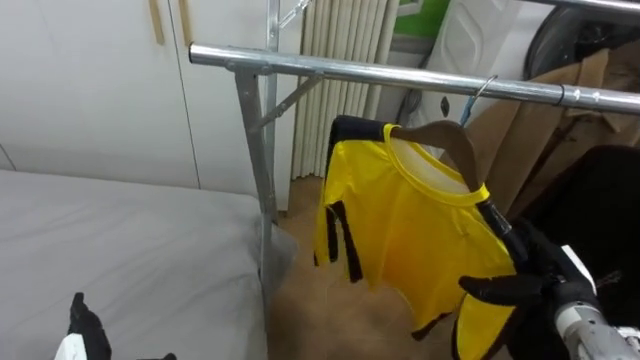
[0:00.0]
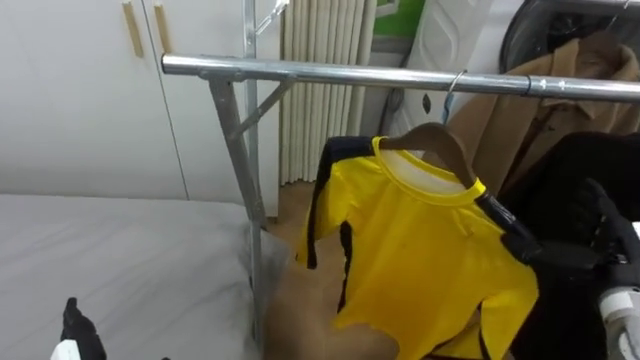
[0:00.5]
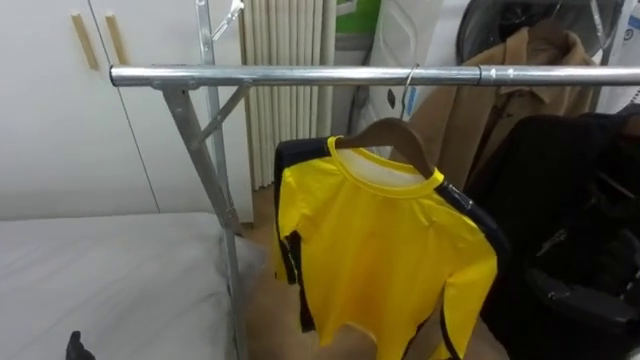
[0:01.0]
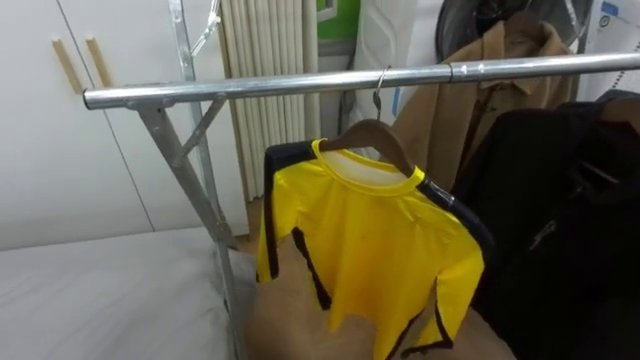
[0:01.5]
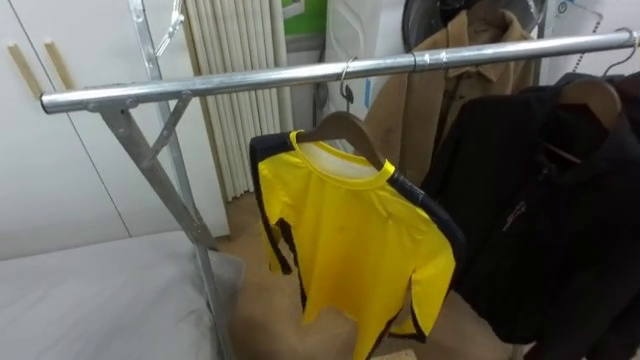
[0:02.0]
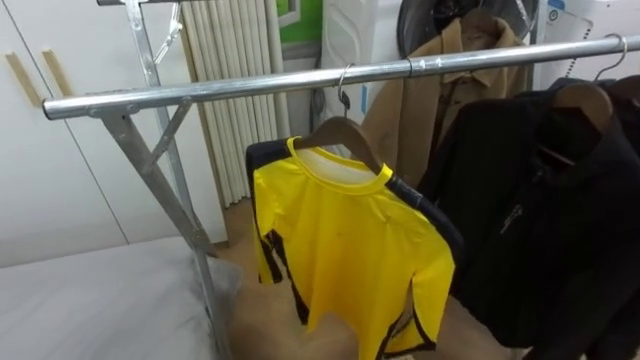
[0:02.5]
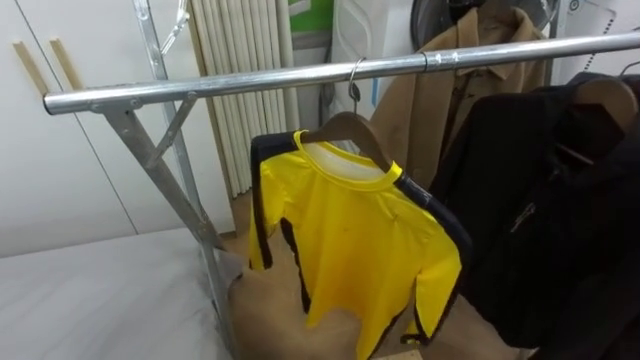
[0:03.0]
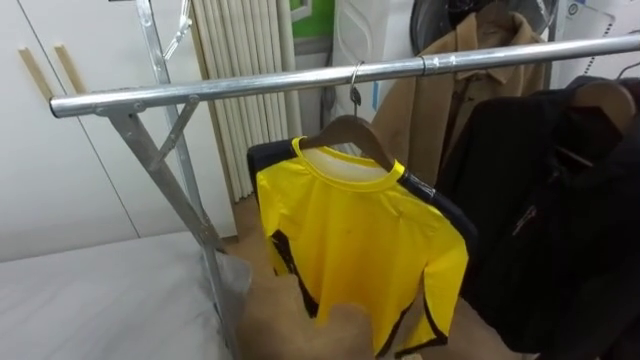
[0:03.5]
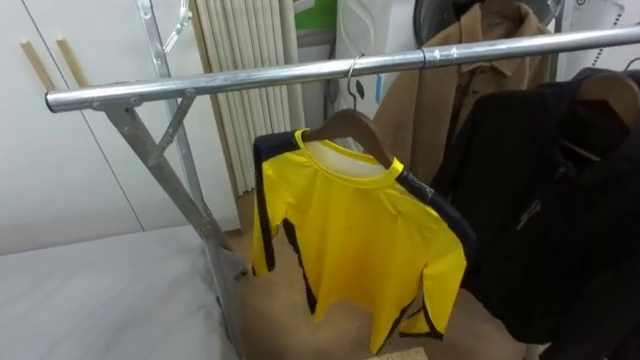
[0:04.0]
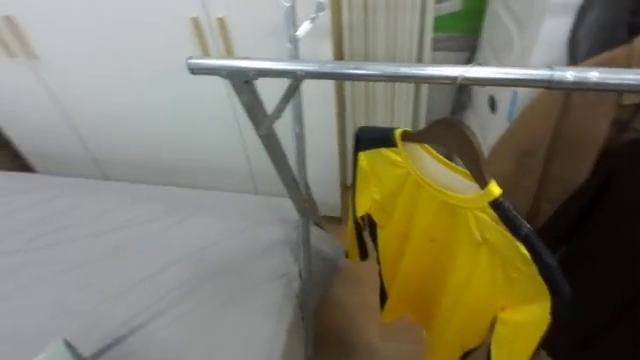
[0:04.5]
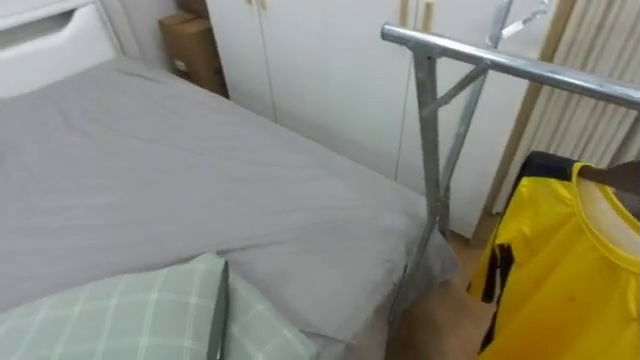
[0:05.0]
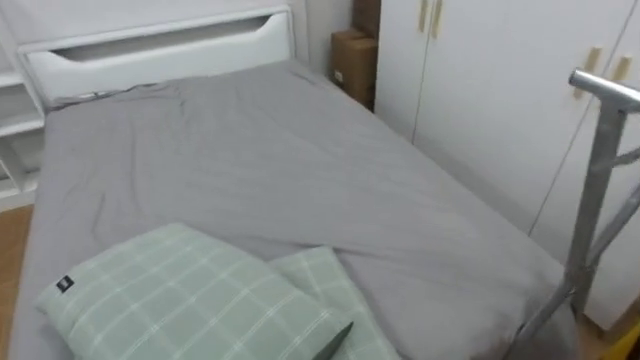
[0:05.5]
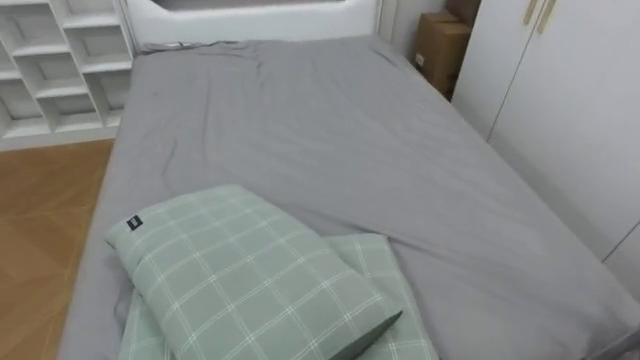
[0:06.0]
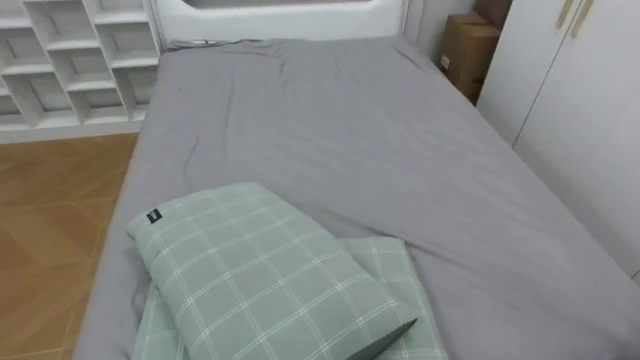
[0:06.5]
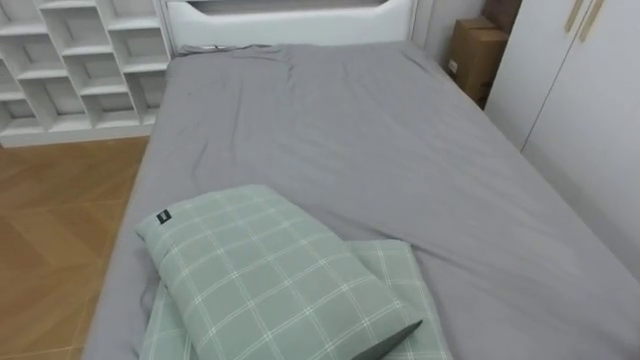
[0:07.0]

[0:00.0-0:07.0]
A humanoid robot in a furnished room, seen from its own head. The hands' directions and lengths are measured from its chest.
Task of the whole recording: Pick up the yellow shirt on the bed and hang it on the clothes rack on the right.
0:03.5 to 0:05.0: The robot rotates roughly 50 degrees to its left.
0:05.0 to 0:07.0: The robot rotates about 40 degrees to its left.

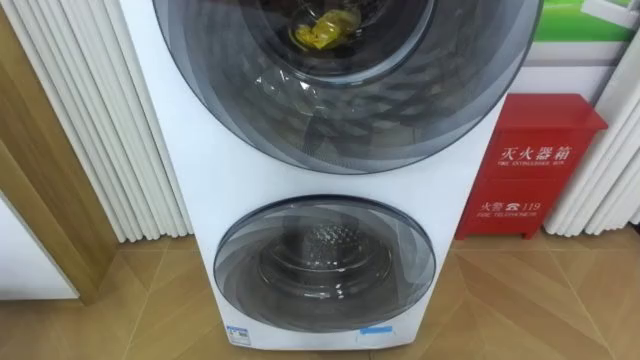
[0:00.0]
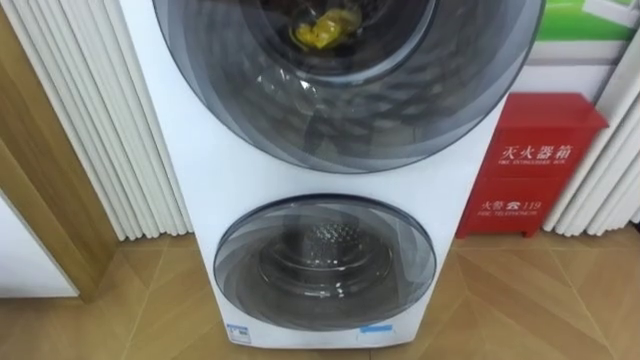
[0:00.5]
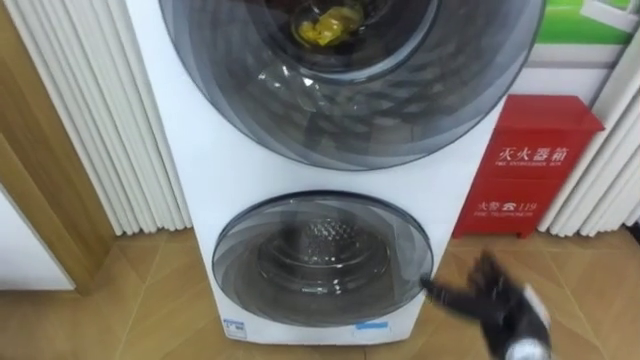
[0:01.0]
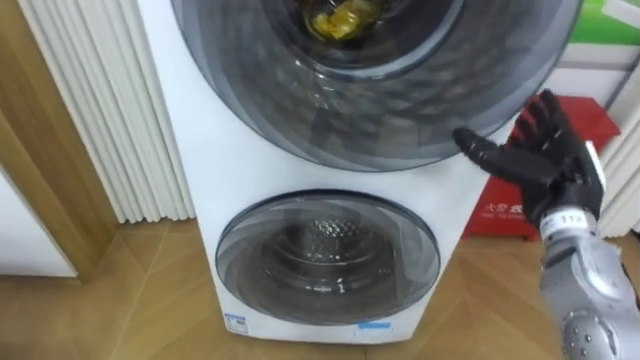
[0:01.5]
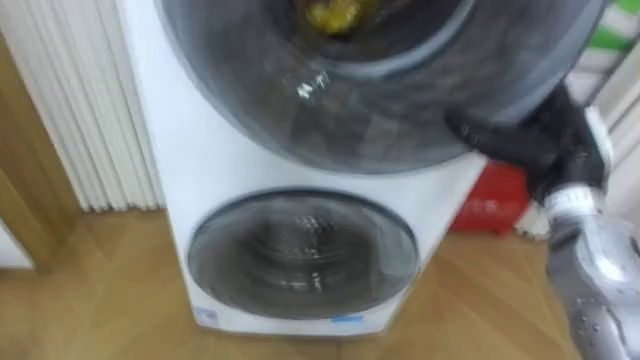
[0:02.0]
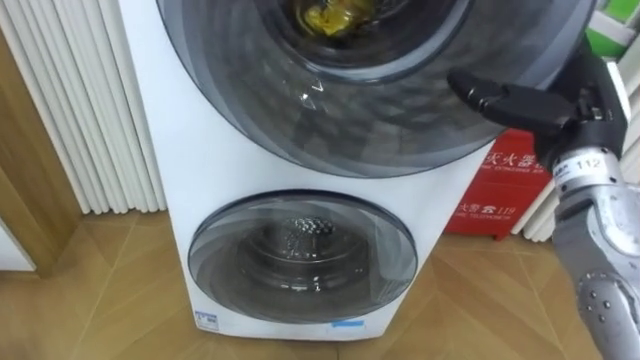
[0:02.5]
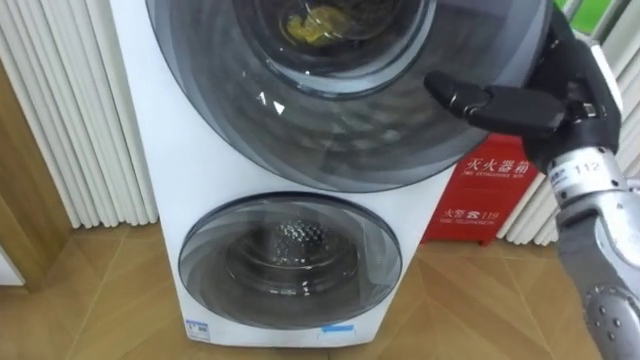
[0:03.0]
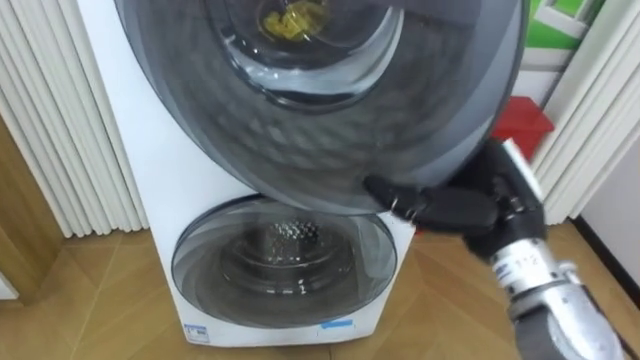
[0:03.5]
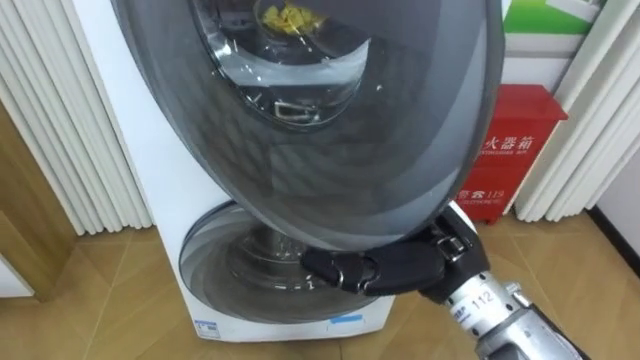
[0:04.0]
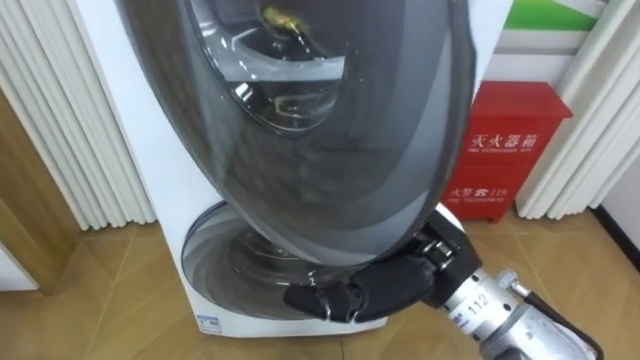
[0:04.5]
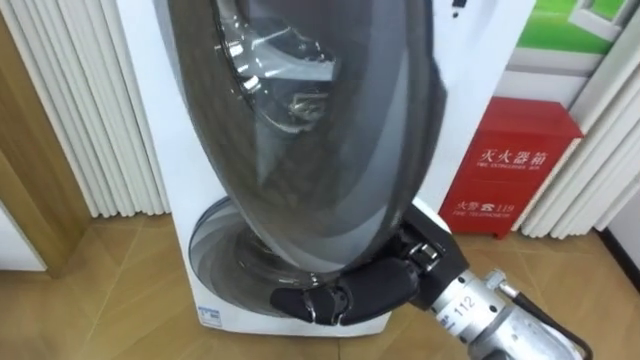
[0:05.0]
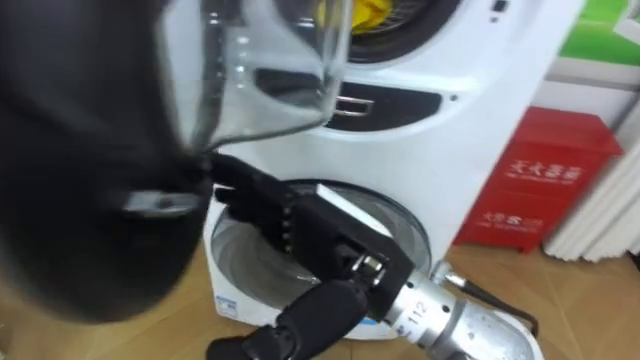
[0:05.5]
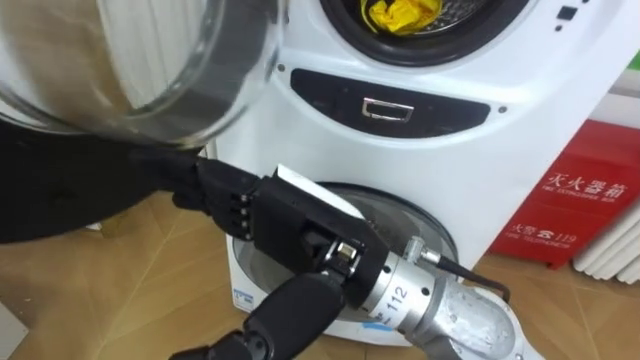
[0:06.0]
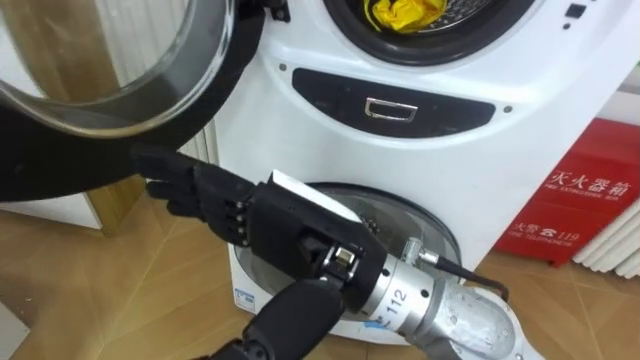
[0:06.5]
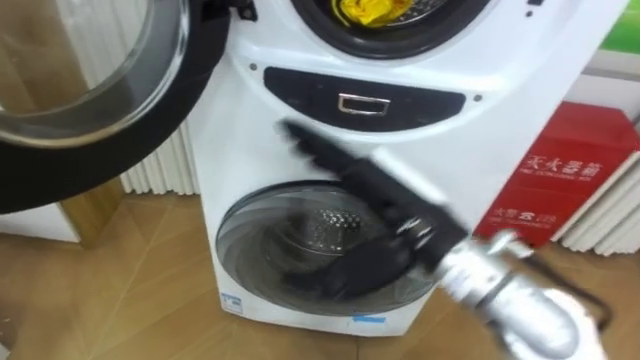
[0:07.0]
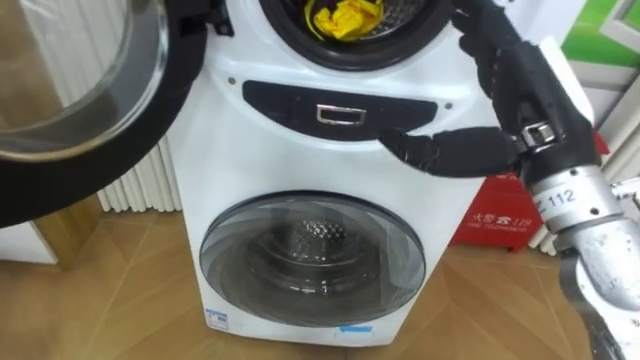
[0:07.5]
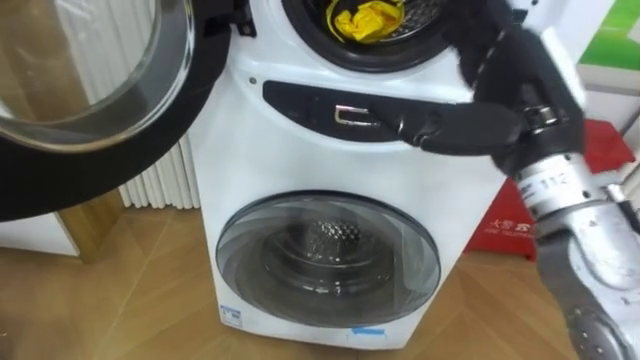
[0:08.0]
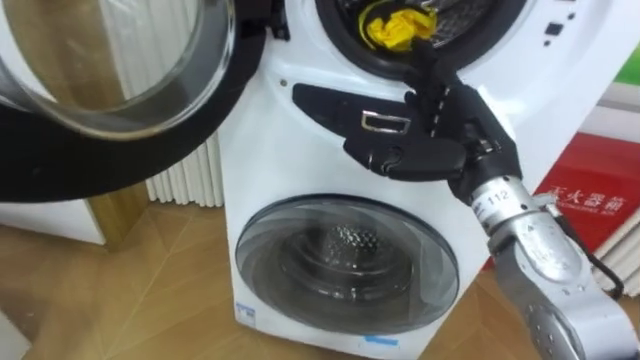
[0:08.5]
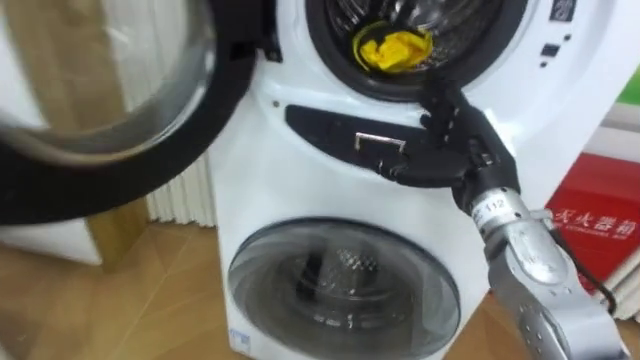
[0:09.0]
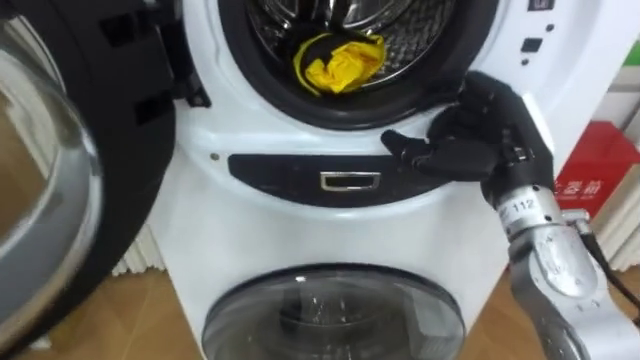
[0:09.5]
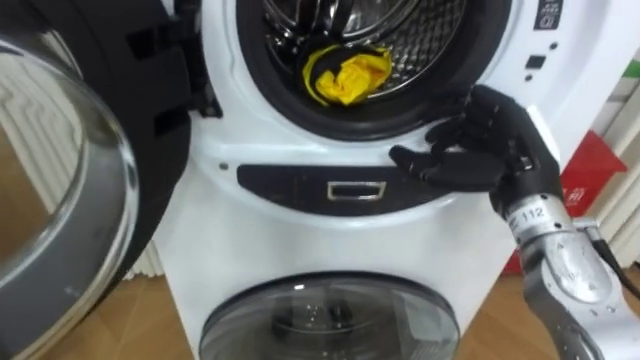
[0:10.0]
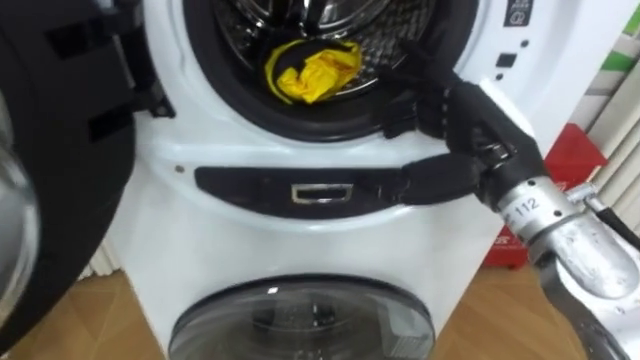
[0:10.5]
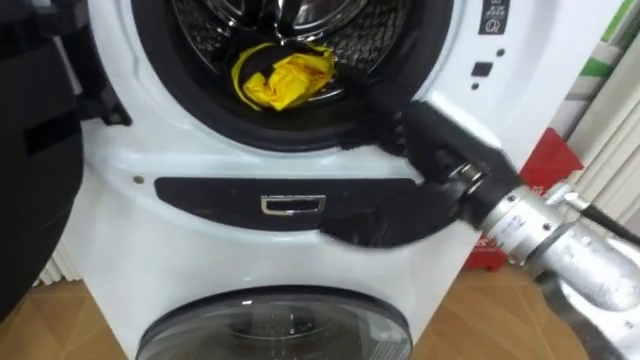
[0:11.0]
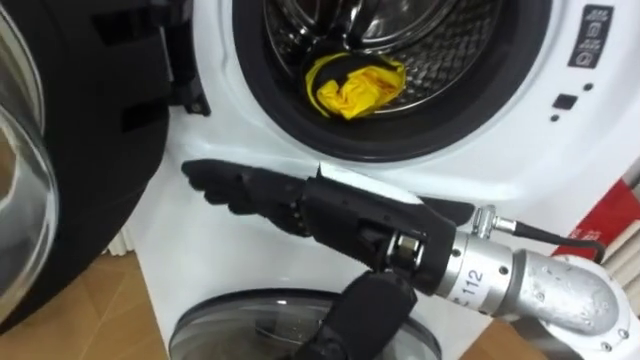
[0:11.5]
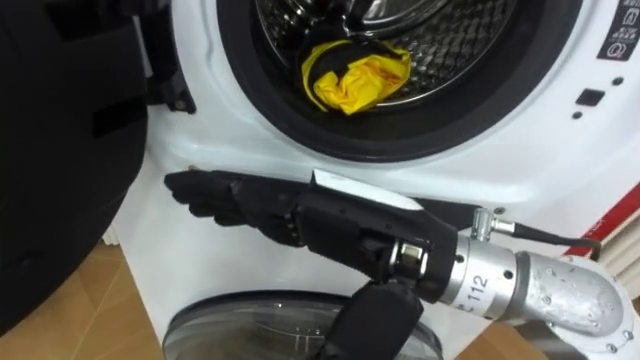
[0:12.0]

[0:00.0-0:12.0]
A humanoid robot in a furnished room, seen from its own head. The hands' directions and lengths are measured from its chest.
Task of the whole recording: Open the washing machine door, take out the yellow clothes, place them in the box on the right, and close the washing machine door.
0:02.0 to 0:04.0: The right hand goes some 15 cm to the left and backward.
0:04.0 to 0:06.0: The right hand heads to the left, upward and backward, covering some 15 cm.
0:06.0 to 0:08.0: The right hand shifts approximately 20 cm to the right and forward.
0:08.0 to 0:10.0: The right hand moves downward, some 10 cm.
0:10.0 to 0:12.0: The right hand travels to the left and backward by roughly 20 cm.

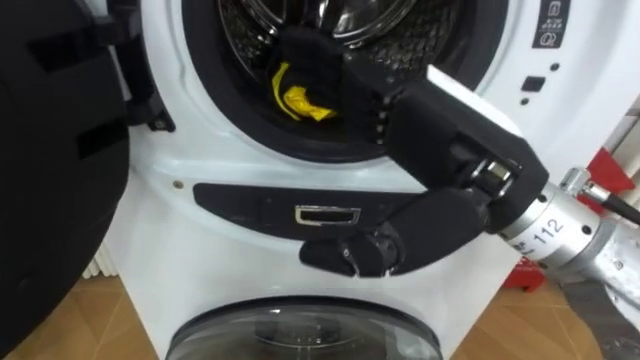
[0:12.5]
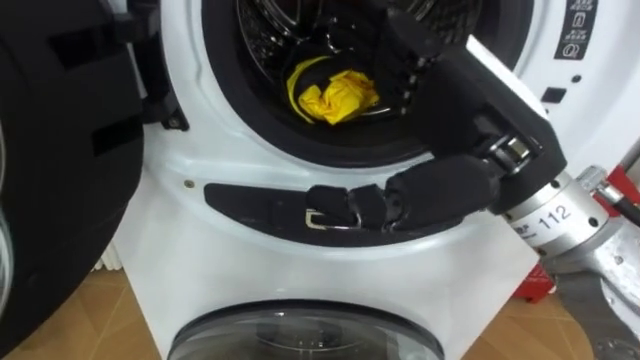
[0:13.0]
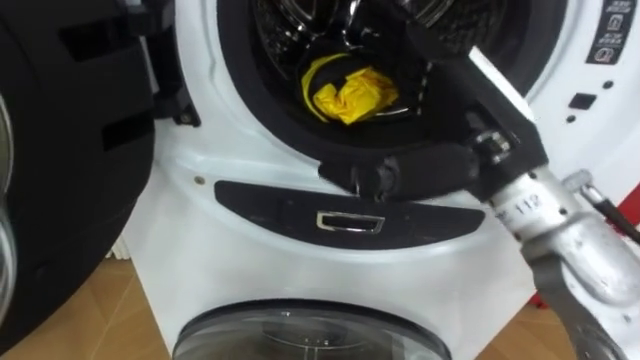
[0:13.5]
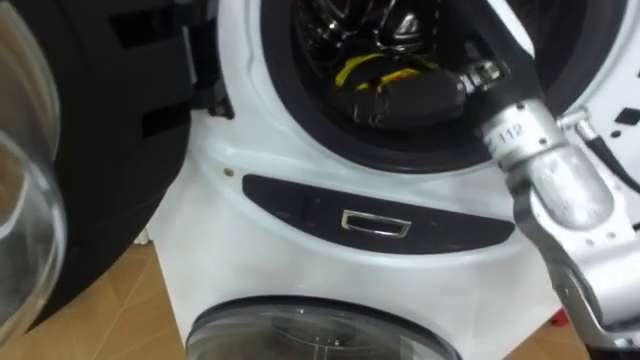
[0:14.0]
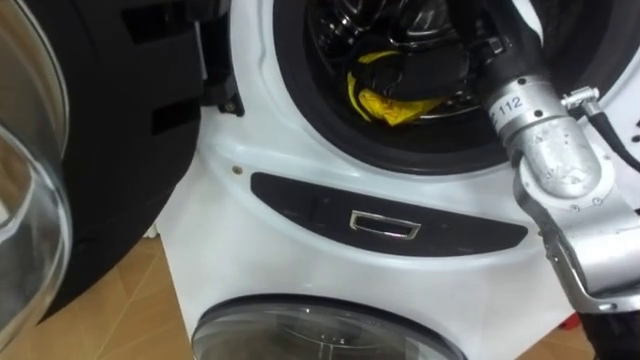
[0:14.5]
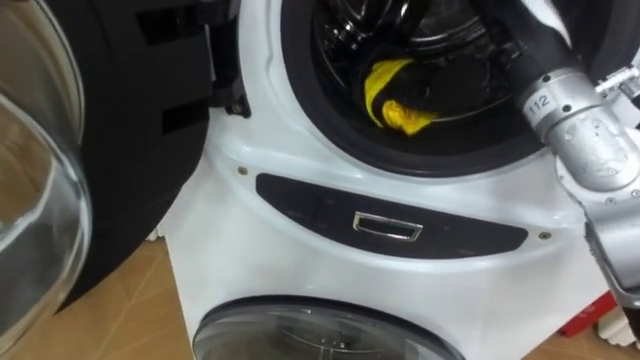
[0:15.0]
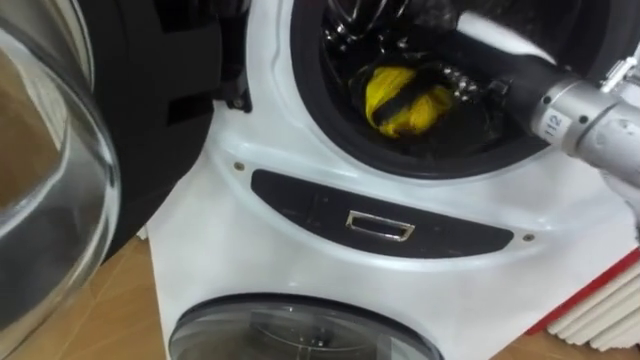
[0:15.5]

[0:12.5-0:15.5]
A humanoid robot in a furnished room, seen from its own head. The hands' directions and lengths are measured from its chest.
Task of the whole recording: Open the washing machine door, take out the yellow clothes, place them in the box on the right, and close the washing machine door.
0:12.5 to 0:14.0: The right hand shifts some 10 cm forward.
